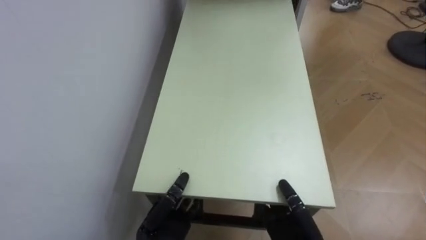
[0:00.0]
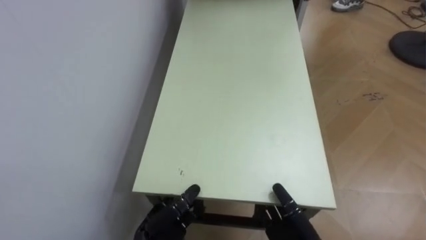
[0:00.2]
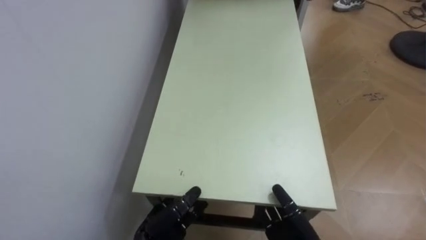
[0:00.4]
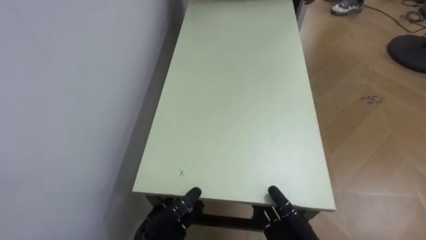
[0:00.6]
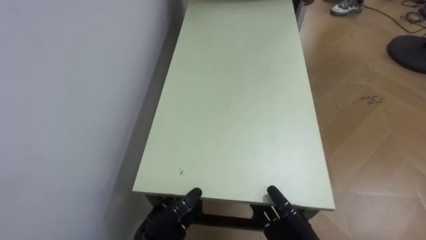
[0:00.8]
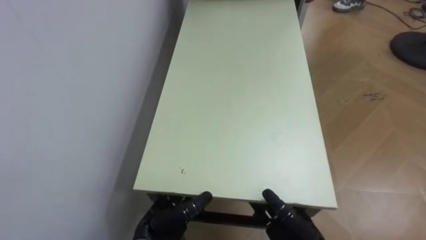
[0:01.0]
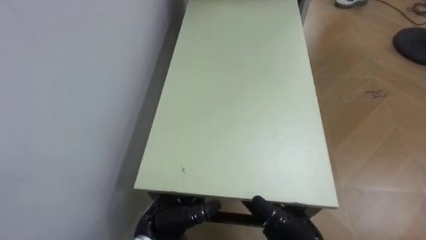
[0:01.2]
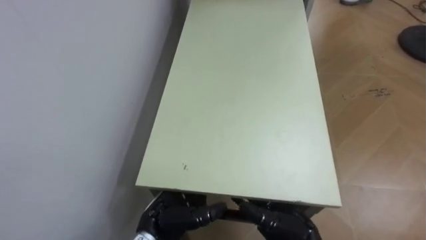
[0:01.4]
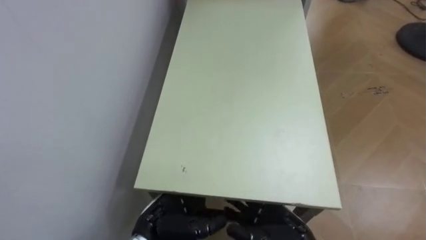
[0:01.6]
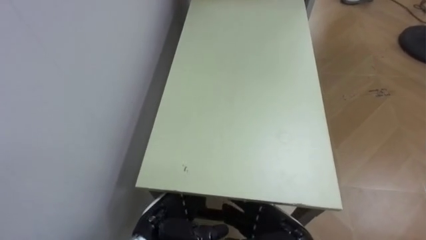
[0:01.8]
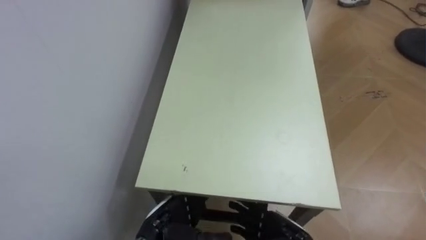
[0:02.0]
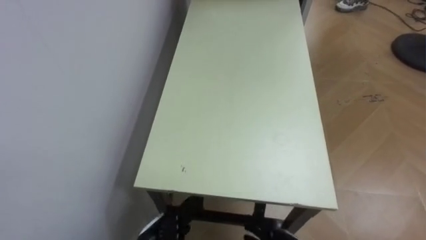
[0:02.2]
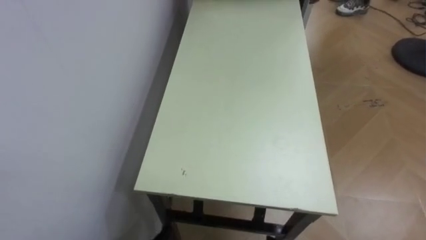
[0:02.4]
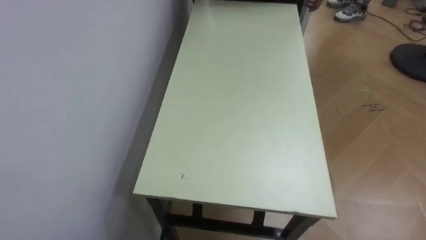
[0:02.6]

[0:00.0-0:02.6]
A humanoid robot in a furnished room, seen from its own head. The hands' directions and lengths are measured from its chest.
Task of the whole recording: Move the table to the back left with someone.
0:00.0 to 0:01.2: The right hand opens its fingers. Meanwhile the left hand opens its fingers.

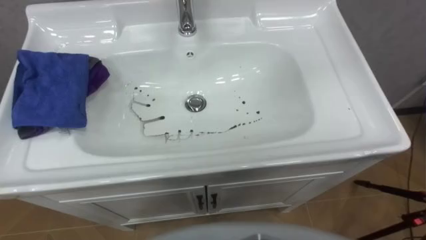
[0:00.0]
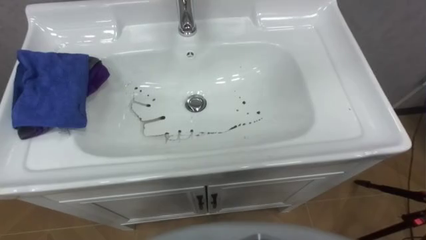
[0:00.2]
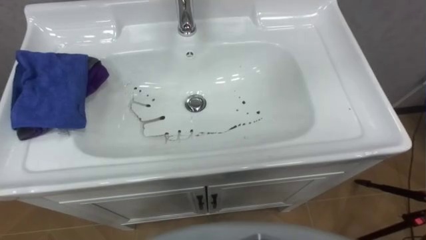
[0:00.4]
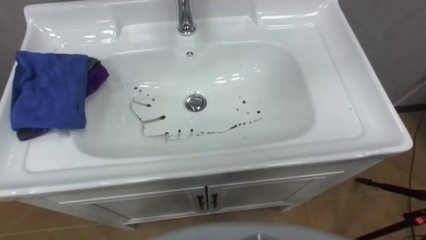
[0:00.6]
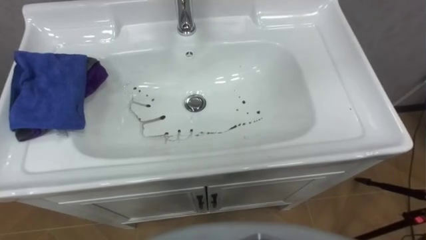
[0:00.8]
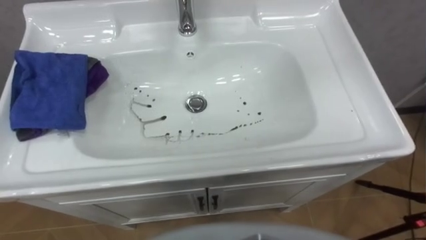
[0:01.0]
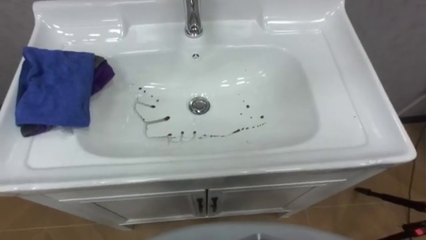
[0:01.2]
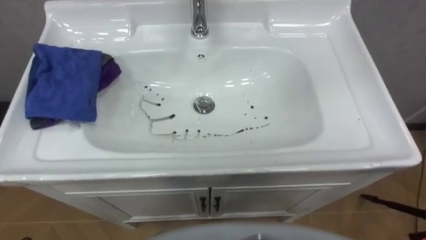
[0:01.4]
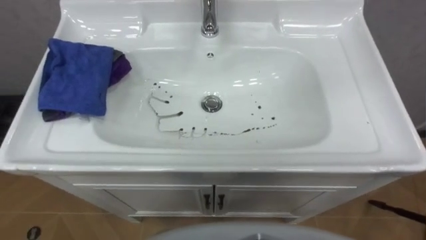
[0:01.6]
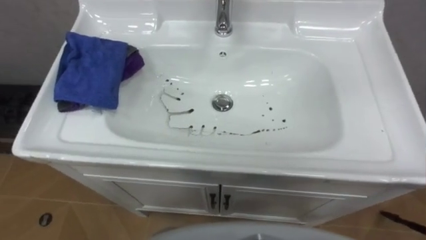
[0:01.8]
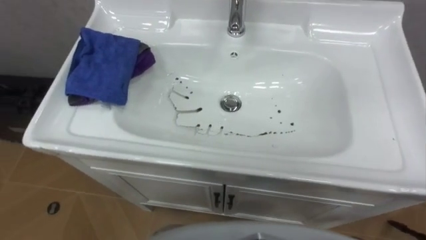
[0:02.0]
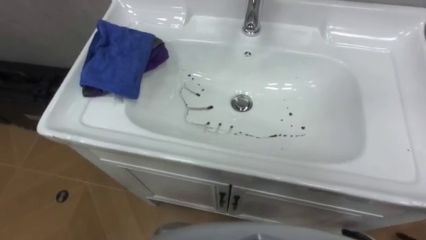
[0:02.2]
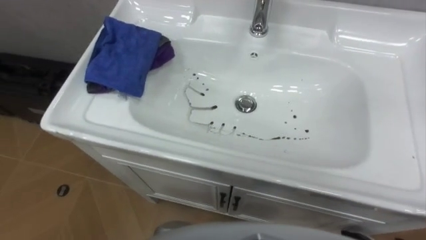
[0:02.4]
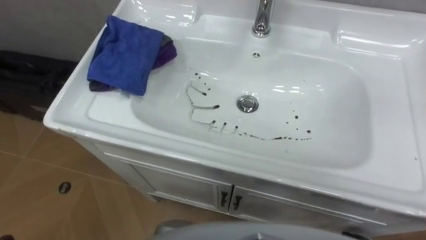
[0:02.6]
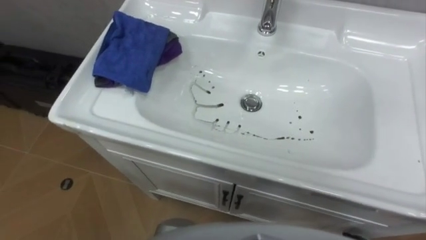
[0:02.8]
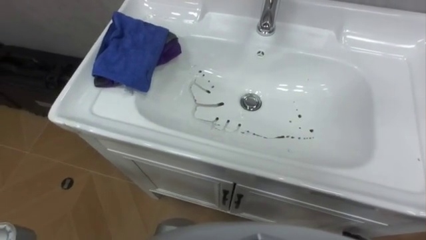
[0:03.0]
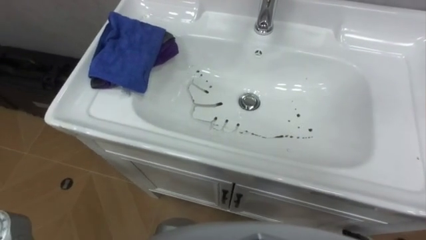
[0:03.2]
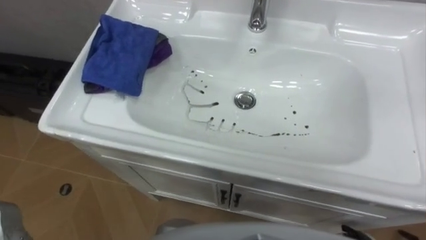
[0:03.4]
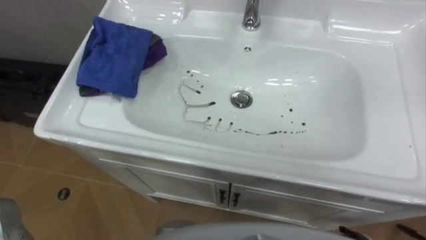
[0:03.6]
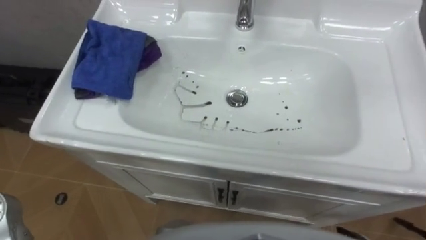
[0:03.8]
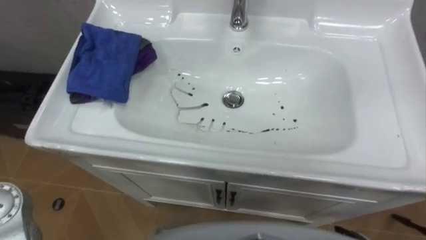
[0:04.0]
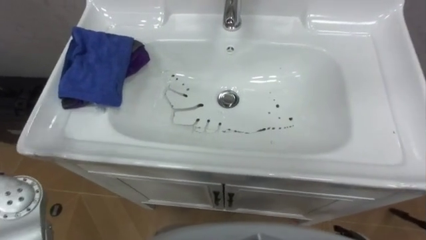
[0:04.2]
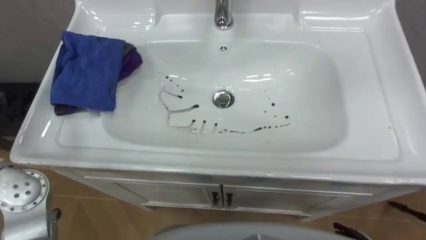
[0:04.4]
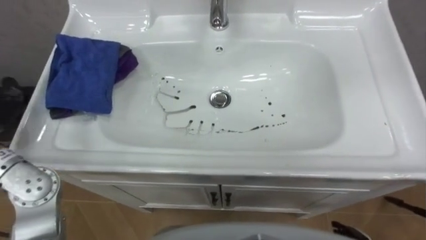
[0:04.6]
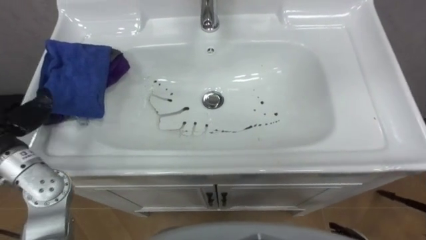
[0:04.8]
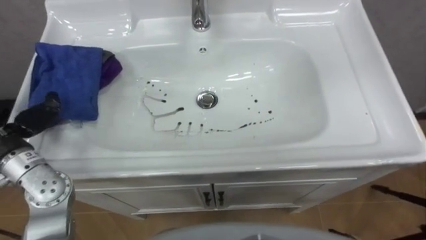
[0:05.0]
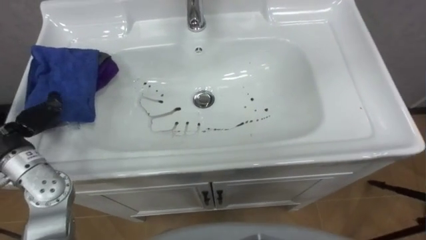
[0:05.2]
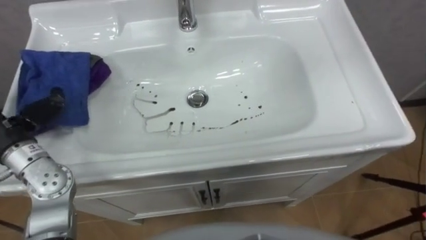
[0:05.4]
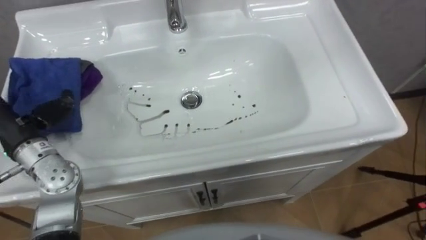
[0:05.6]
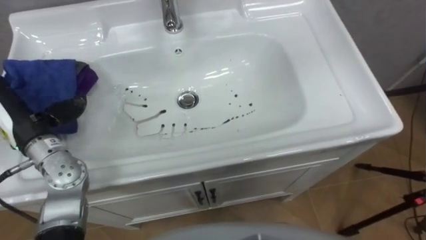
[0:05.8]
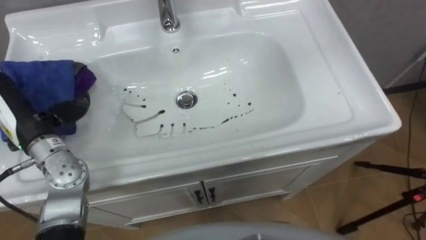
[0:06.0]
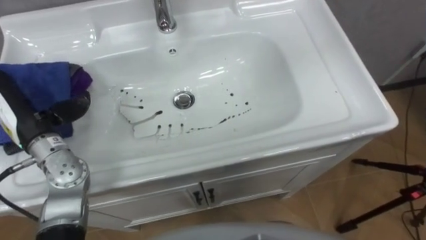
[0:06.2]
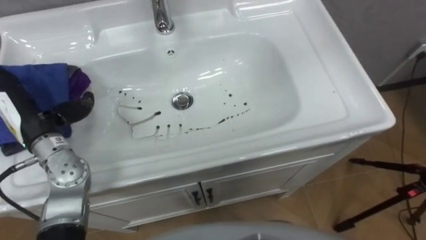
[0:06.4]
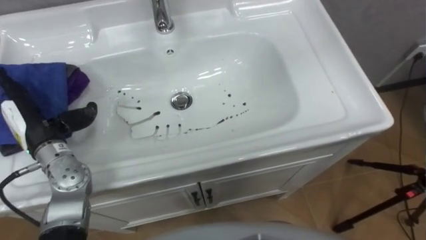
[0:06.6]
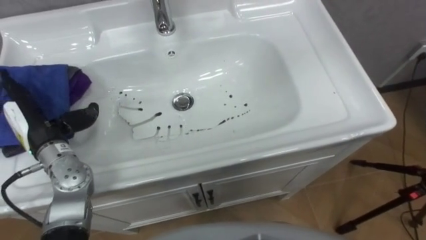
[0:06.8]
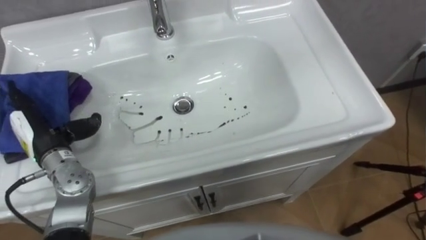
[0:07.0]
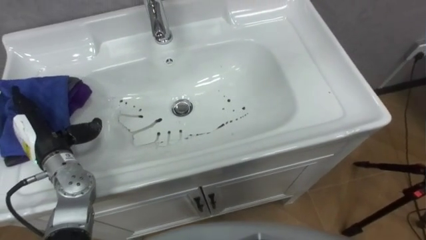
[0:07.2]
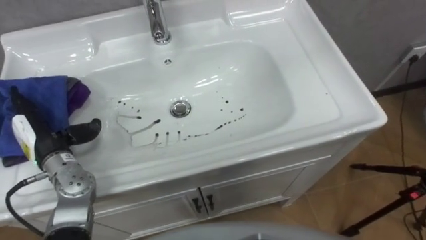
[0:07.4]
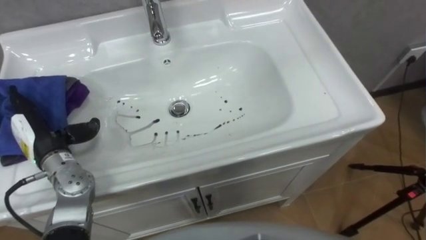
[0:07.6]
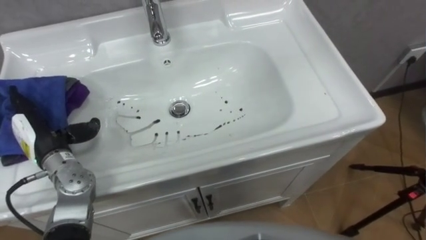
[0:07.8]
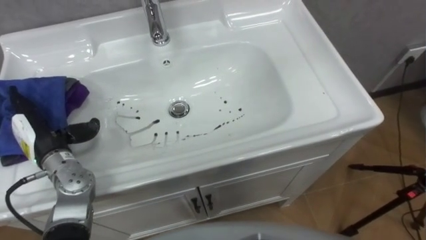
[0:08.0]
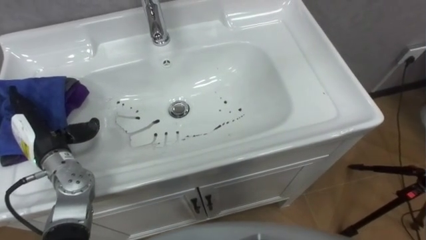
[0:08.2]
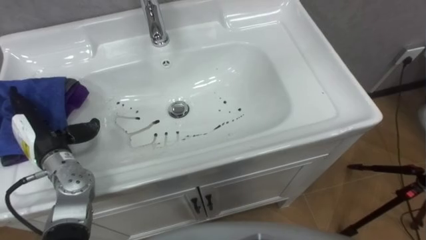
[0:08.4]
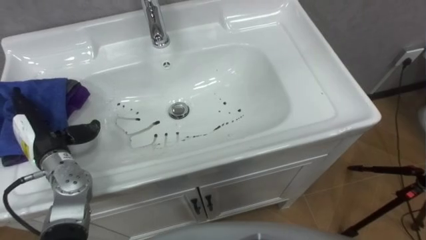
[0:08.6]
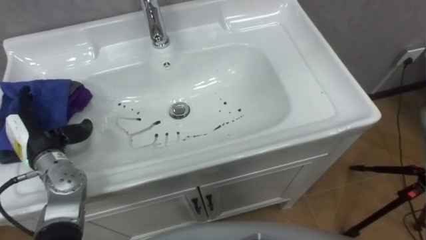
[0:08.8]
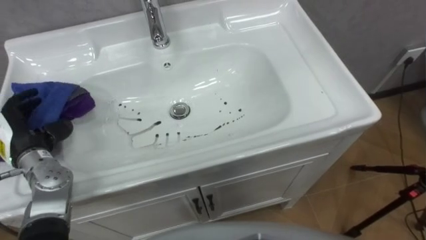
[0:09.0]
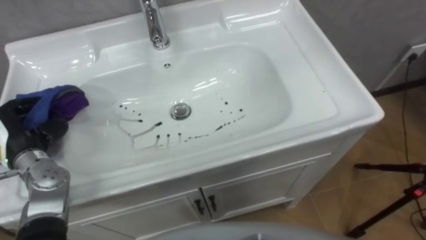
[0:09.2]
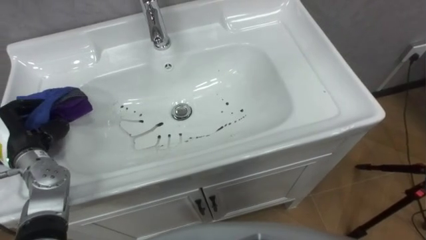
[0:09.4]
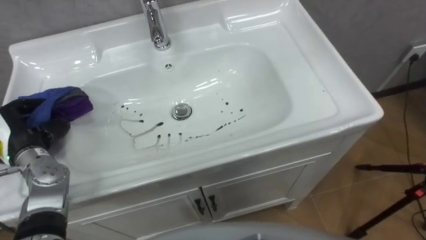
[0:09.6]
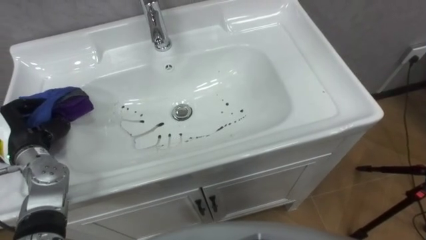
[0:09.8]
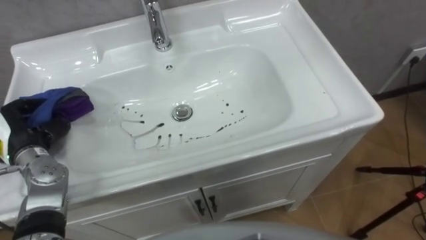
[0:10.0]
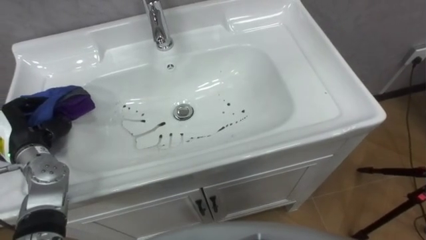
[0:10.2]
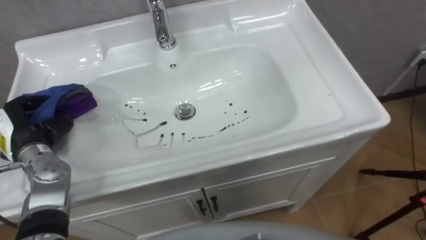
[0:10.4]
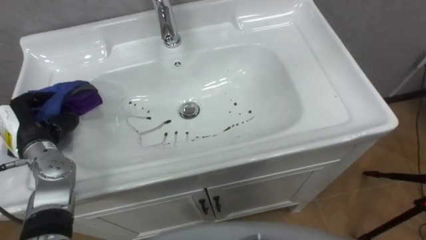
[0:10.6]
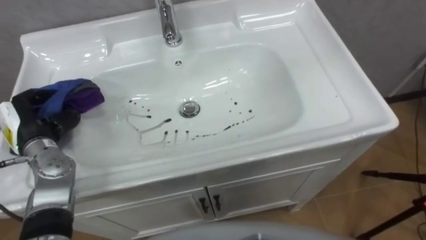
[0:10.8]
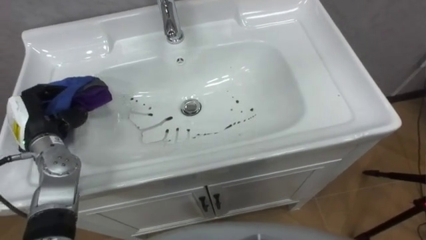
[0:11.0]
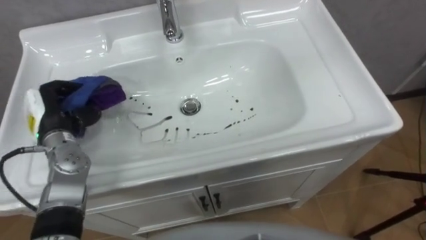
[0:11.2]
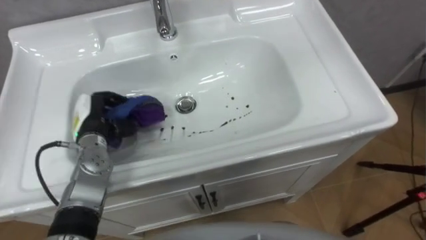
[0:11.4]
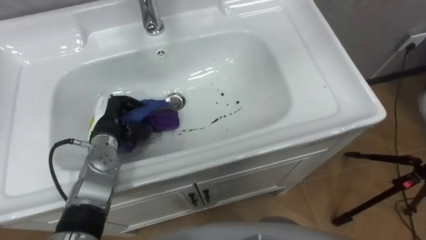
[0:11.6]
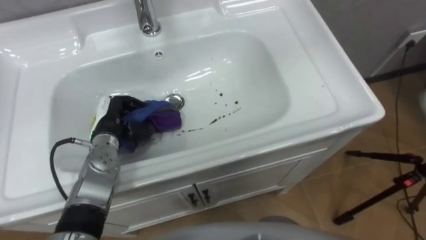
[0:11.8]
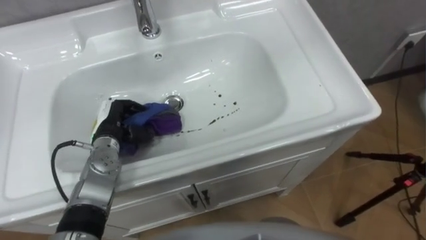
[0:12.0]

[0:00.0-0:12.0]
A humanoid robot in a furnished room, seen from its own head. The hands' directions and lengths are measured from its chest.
Task of the whole recording: Use the cloth on the right to wipe away the black stain in the sink.
0:06.0 to 0:07.6: The left hand heads downward, covering roughly 5 cm.
0:07.6 to 0:09.0: The left hand closes up.
0:10.4 to 0:12.0: The left hand heads to the right, covering approximately 15 cm.

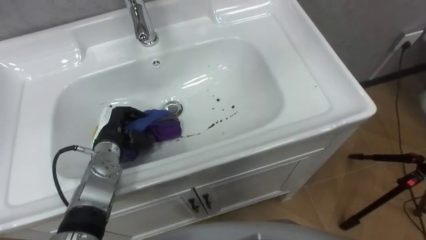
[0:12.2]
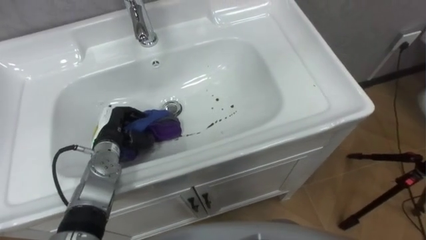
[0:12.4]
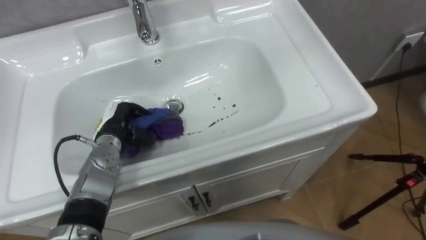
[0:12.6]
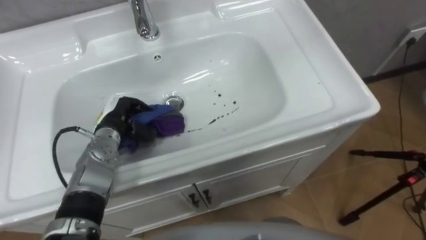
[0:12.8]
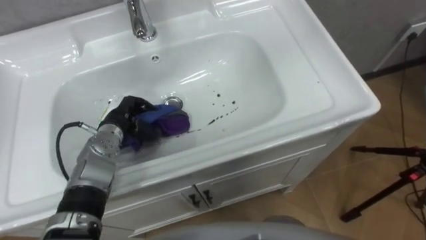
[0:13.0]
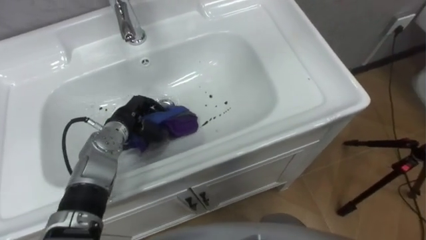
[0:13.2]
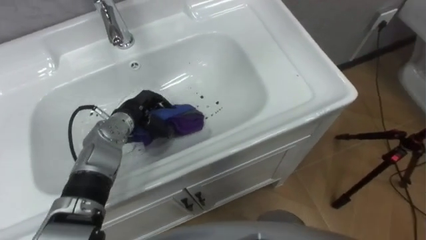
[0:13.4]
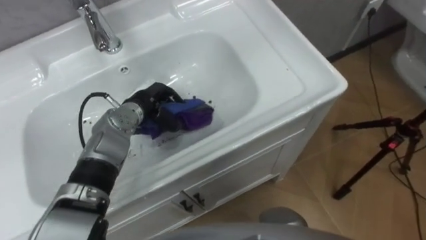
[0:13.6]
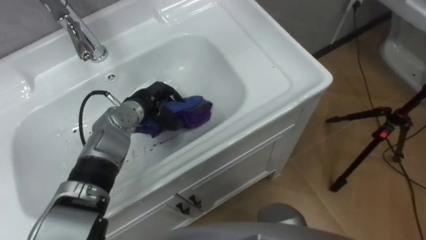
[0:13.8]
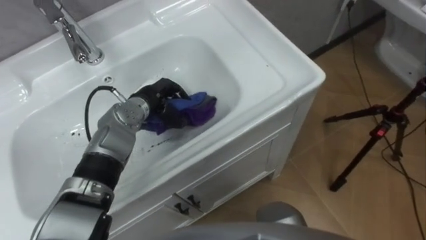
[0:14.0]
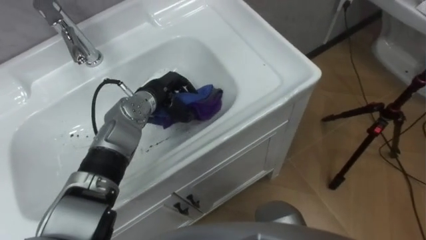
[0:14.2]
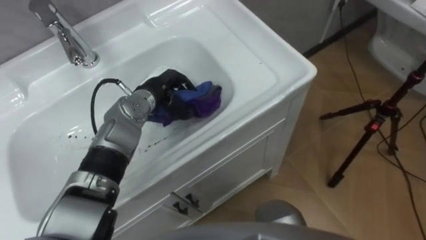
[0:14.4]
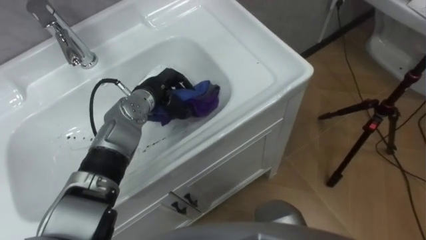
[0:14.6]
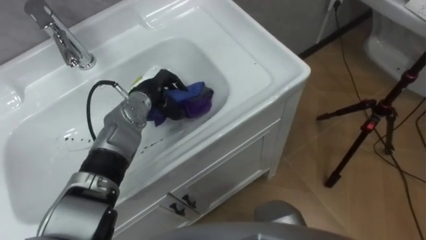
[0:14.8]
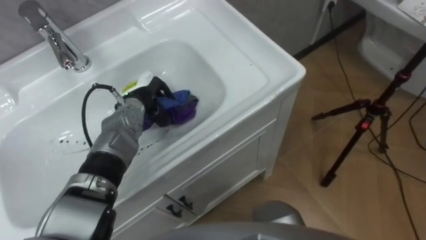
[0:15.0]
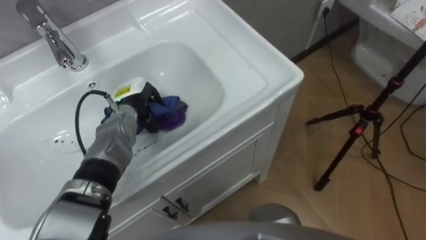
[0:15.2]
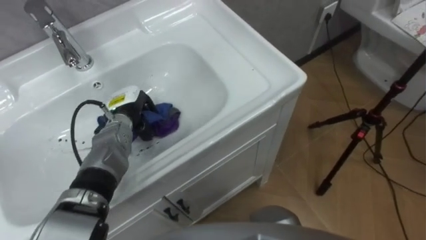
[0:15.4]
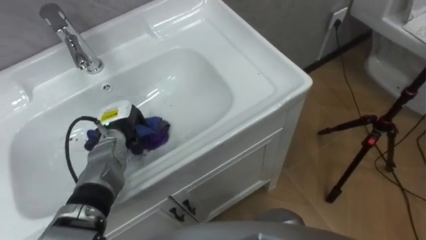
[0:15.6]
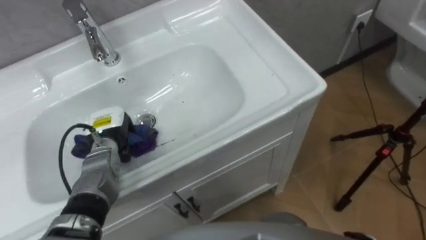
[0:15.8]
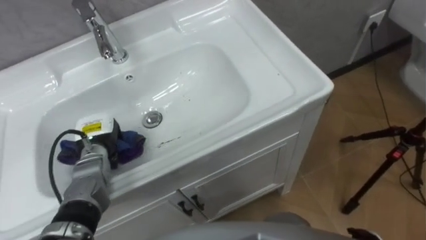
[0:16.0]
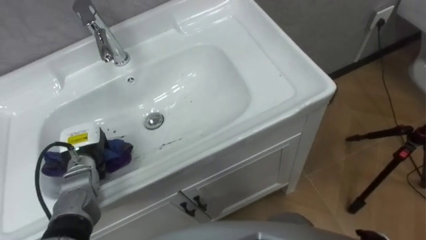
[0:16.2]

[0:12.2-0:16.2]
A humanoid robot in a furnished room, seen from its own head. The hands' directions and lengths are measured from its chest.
Task of the whole recording: Use the cloth on the right to wipe away the black stain in the sink.
0:12.2 to 0:13.6: The left hand is displaced to the right and forward by some 10 cm.
0:14.8 to 0:16.2: The left hand is displaced to the left, backward and downward by about 20 cm.
